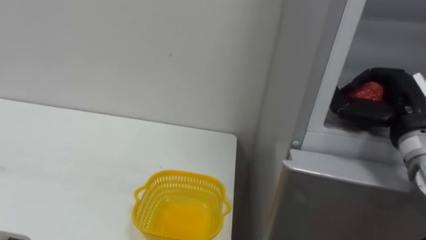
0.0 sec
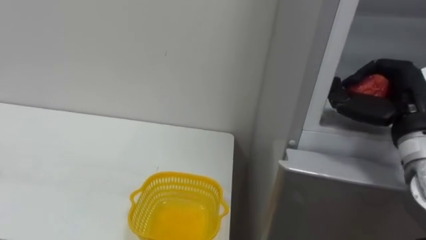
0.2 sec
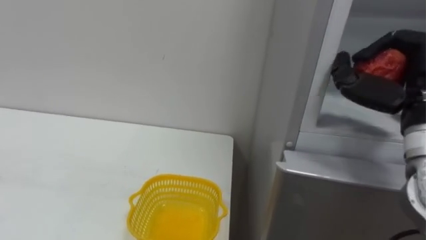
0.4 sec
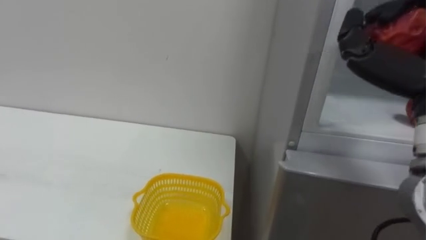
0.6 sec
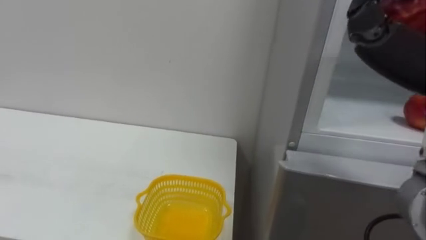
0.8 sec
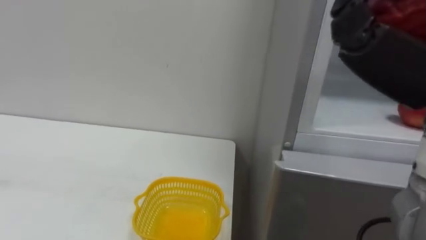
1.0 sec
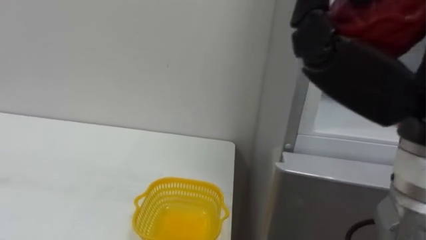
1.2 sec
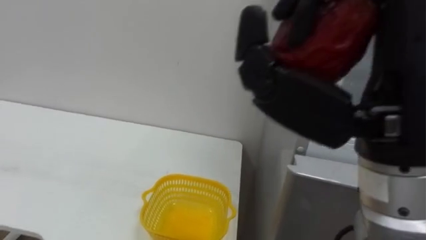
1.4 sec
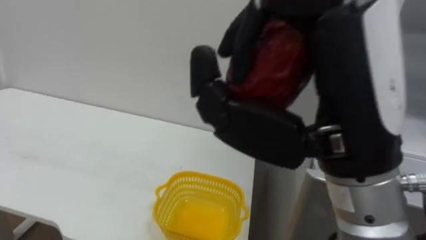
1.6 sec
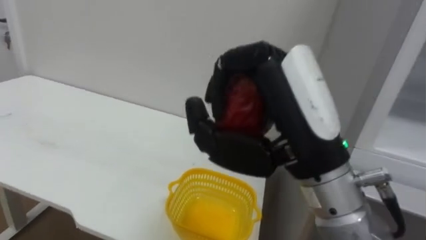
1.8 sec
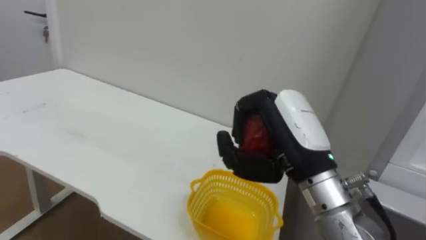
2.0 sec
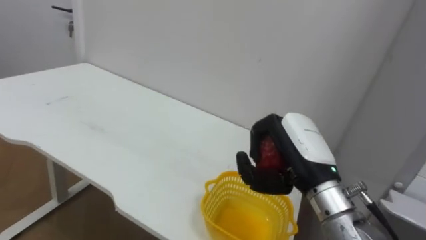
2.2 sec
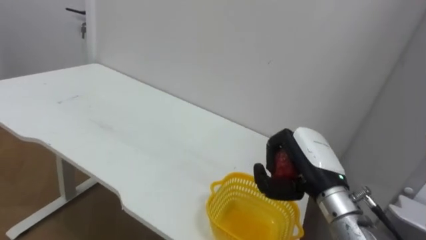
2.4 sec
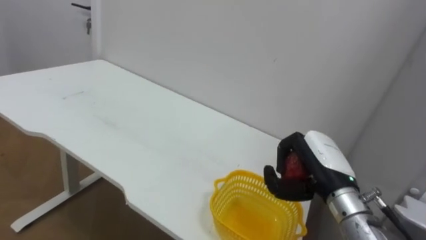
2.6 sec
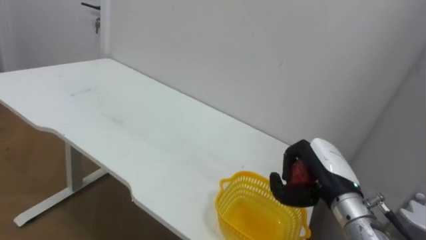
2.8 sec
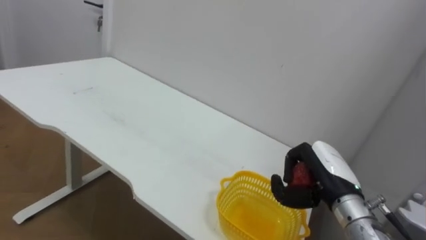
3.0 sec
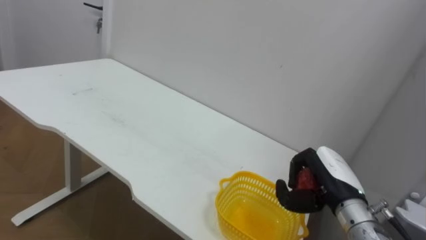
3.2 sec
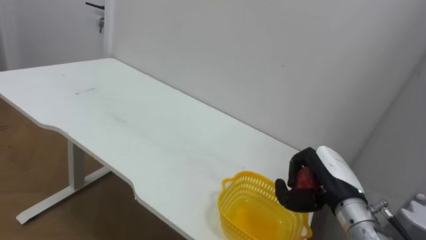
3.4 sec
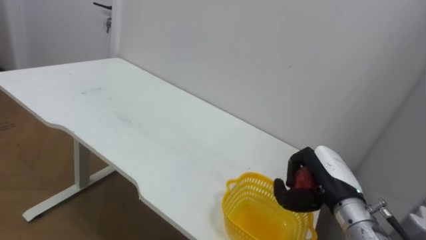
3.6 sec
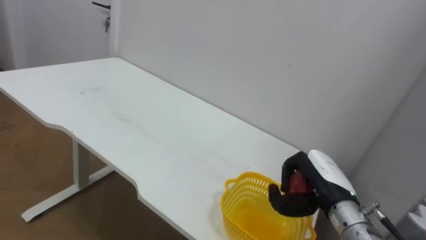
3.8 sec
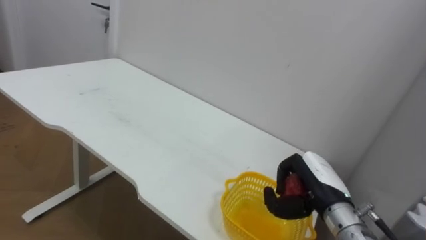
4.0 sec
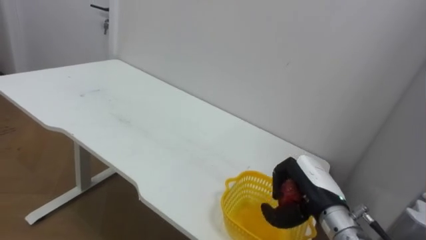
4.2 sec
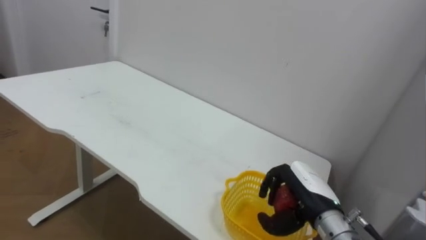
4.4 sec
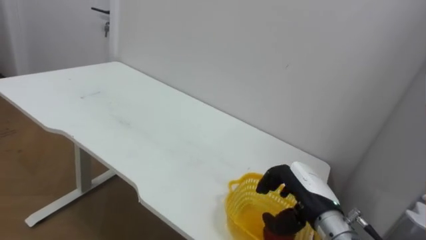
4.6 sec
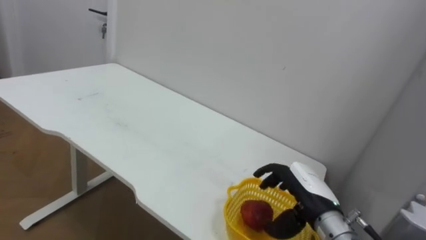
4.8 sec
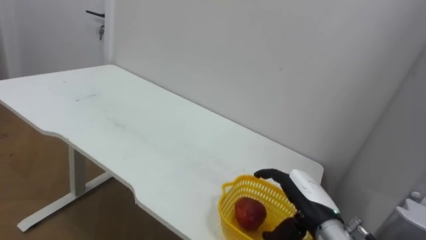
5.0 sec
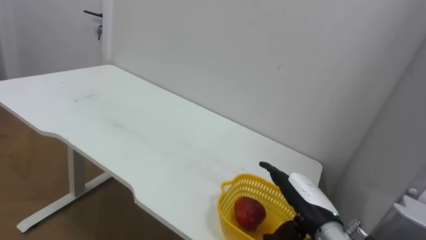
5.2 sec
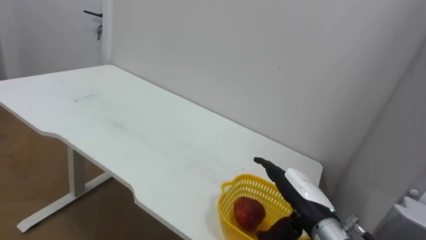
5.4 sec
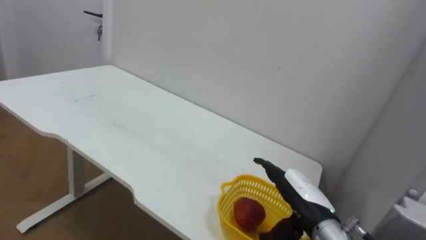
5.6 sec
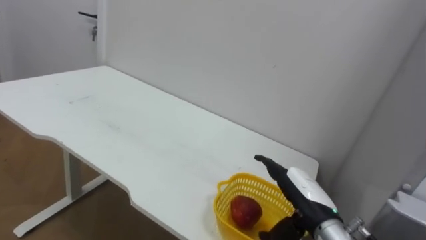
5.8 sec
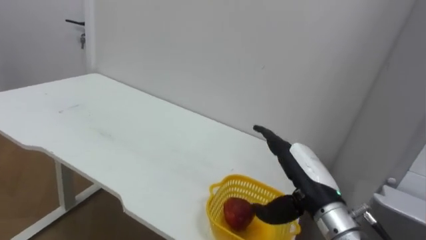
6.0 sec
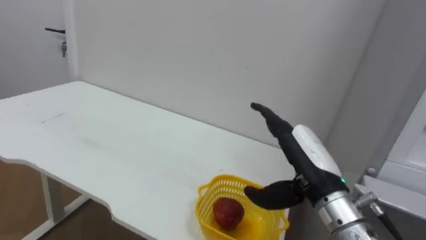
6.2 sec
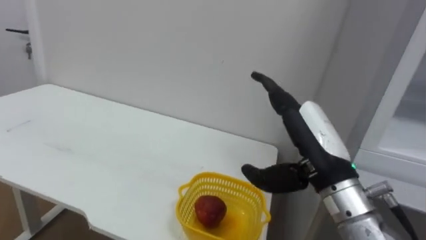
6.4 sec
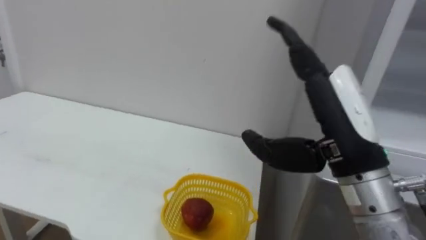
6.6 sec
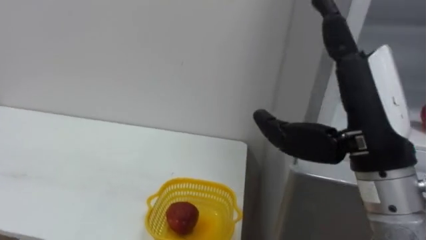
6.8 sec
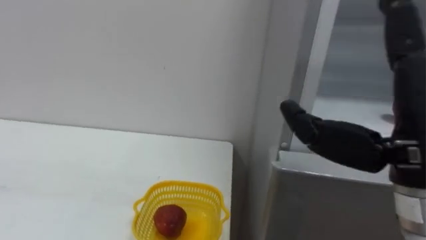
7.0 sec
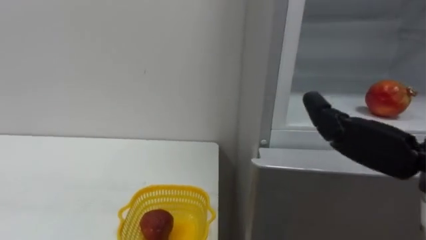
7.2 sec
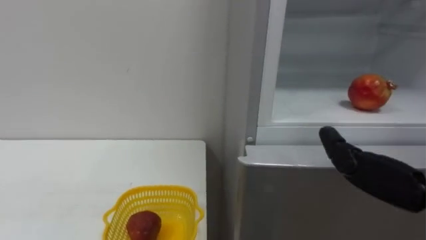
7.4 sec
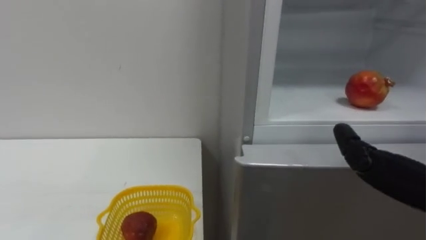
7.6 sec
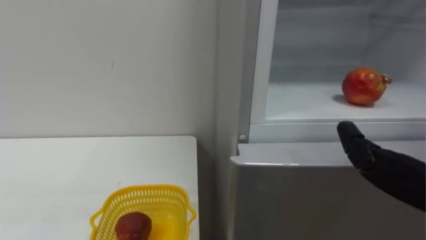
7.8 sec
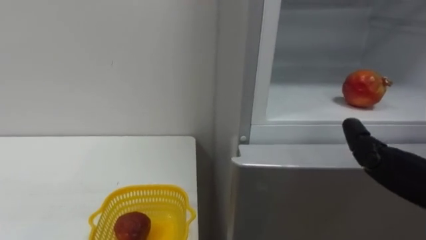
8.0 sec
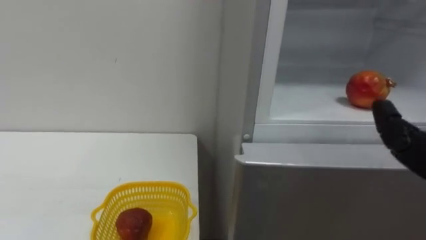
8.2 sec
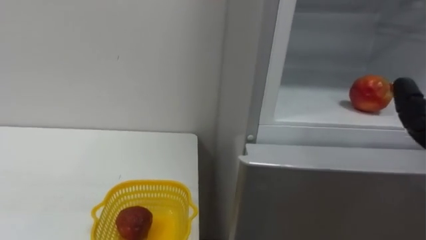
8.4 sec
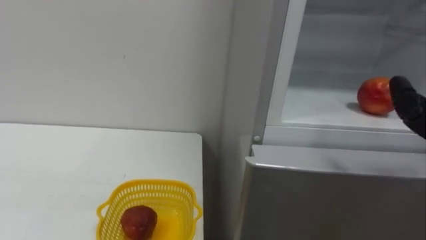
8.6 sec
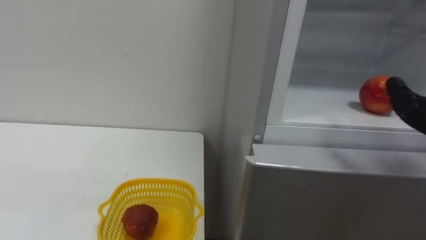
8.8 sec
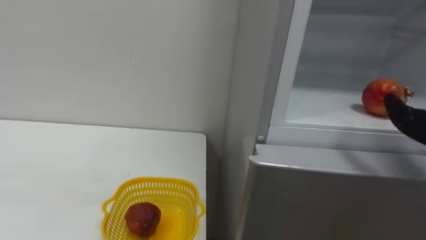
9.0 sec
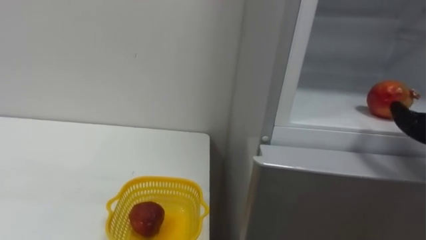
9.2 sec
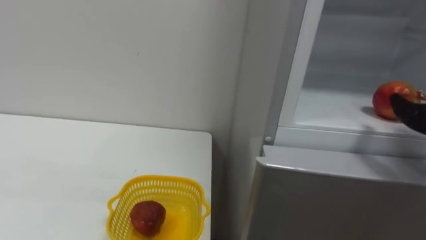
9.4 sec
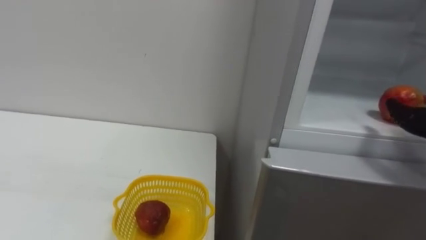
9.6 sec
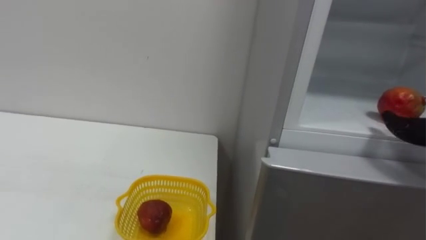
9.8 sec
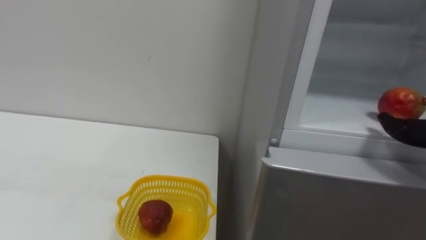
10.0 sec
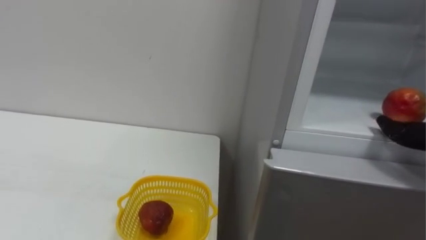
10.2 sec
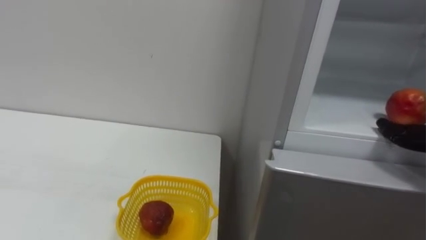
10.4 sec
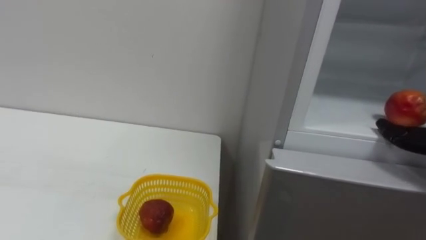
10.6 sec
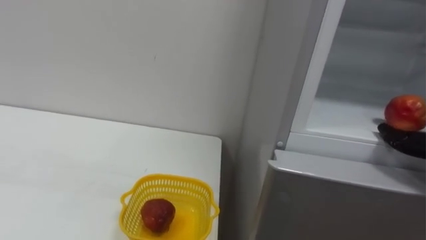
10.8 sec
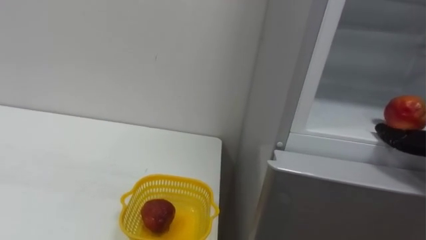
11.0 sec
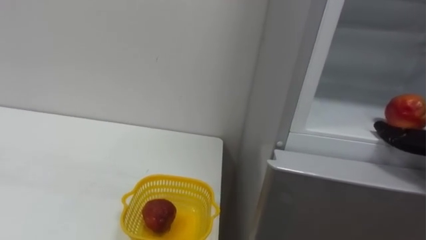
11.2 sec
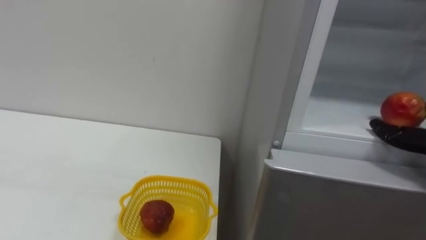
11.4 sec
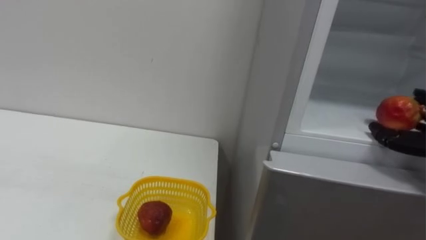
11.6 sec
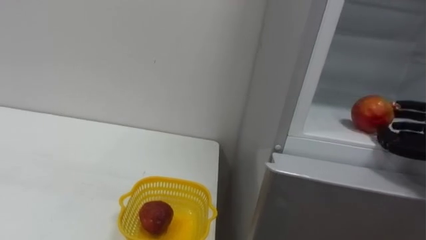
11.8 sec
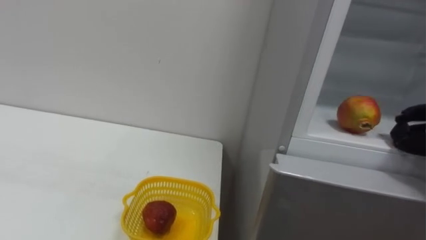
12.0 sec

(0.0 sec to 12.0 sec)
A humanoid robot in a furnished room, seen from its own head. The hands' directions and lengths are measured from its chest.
Task of the whole recording: Open the refrigerator door, take out the apple and the pomegranate, place them in the fruit basket on the left, and close the refrigerator door.
1.6 sec - 3.0 sec: The right hand goes roughly 30 cm downward and forward.
4.4 sec - 6.0 sec: The right hand changes place by about 5 cm, and opens up.

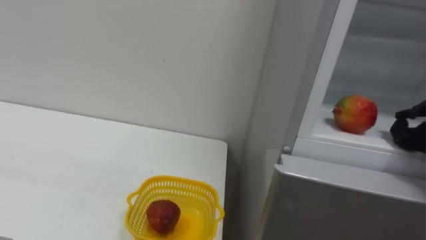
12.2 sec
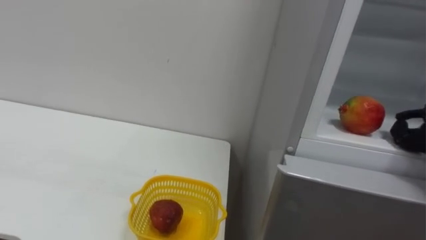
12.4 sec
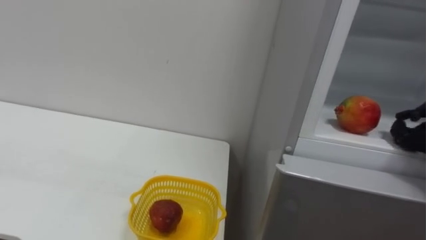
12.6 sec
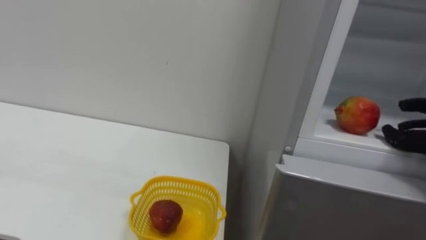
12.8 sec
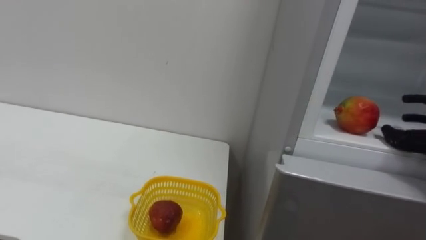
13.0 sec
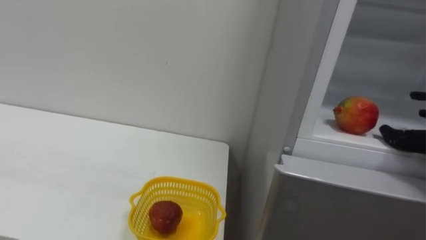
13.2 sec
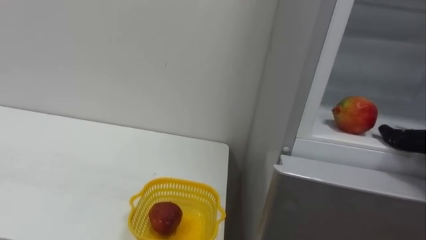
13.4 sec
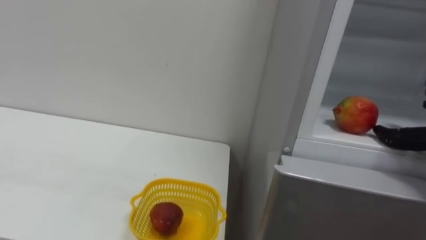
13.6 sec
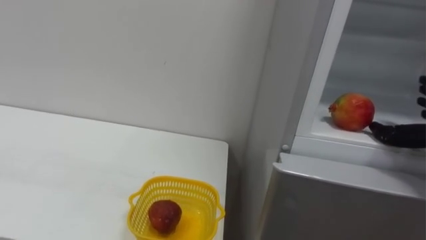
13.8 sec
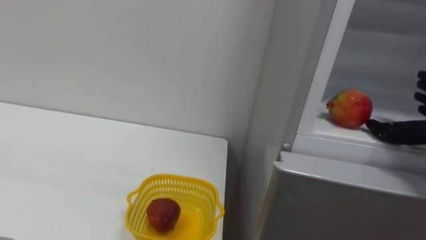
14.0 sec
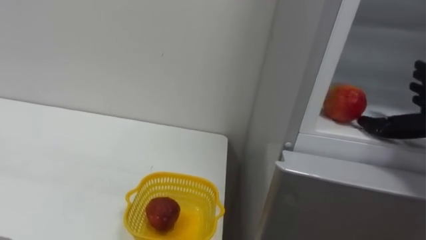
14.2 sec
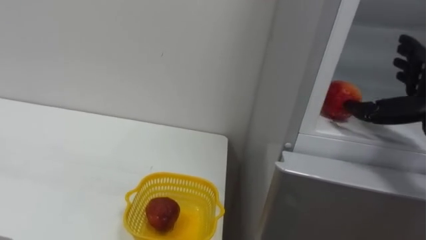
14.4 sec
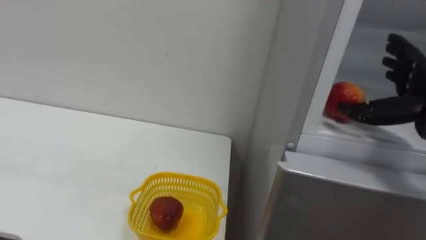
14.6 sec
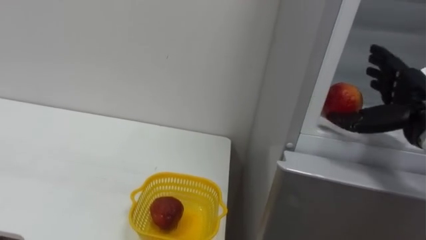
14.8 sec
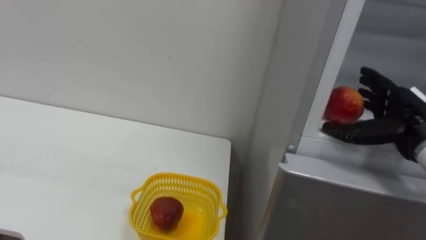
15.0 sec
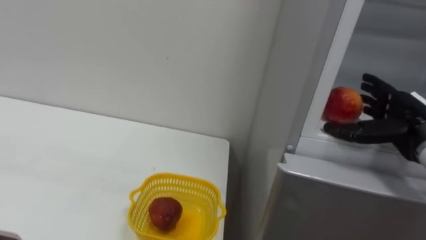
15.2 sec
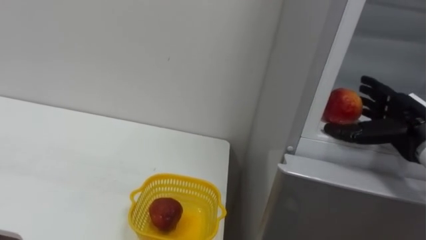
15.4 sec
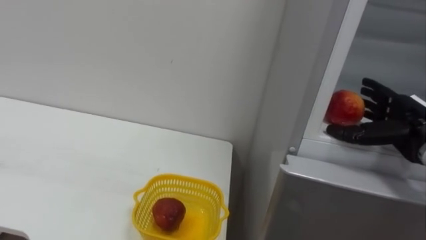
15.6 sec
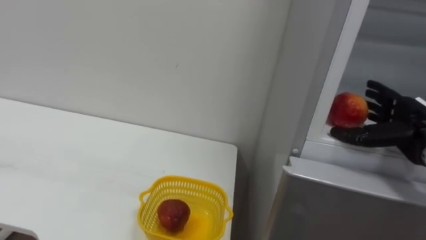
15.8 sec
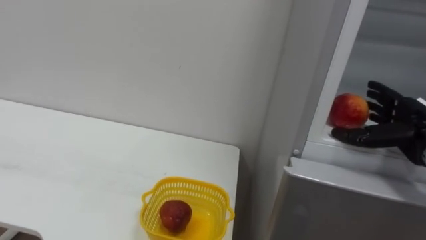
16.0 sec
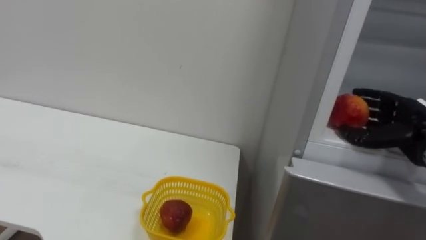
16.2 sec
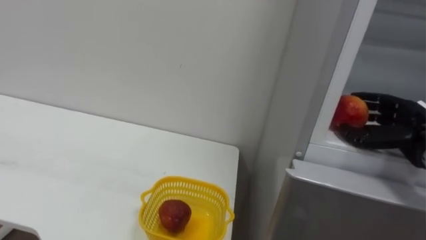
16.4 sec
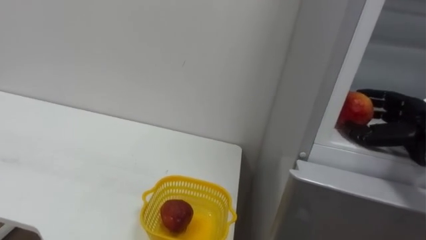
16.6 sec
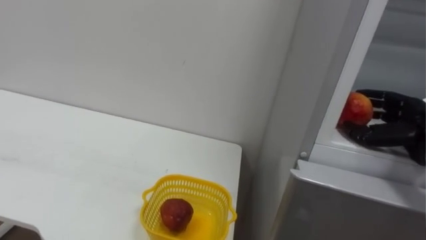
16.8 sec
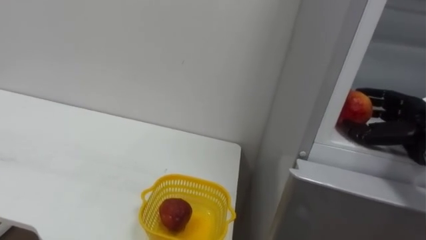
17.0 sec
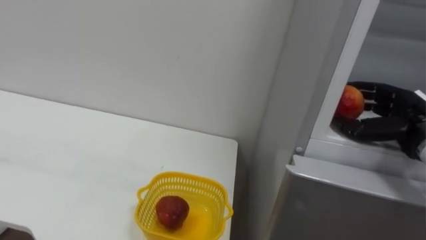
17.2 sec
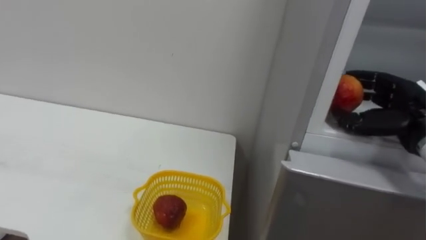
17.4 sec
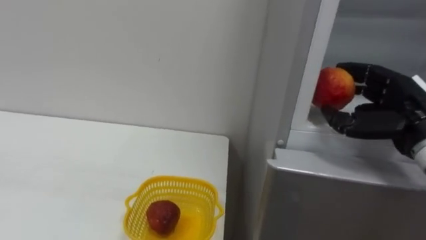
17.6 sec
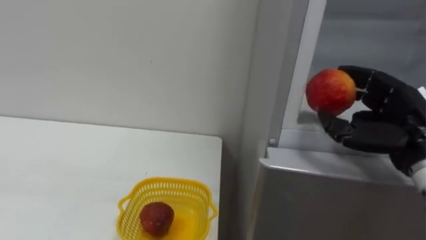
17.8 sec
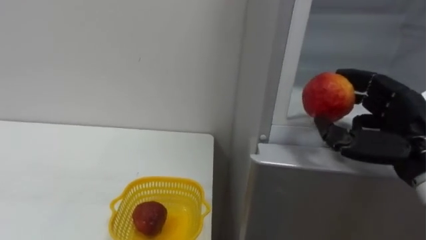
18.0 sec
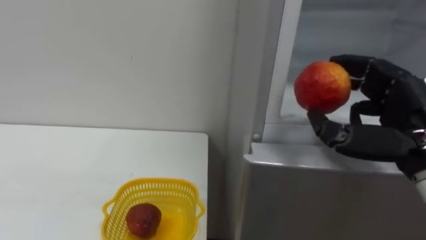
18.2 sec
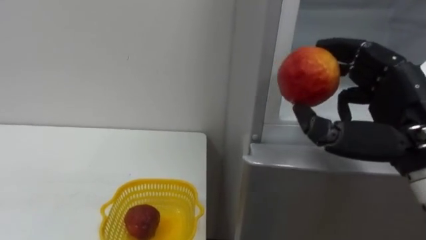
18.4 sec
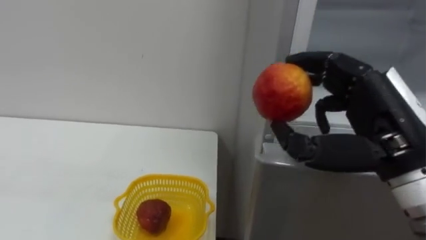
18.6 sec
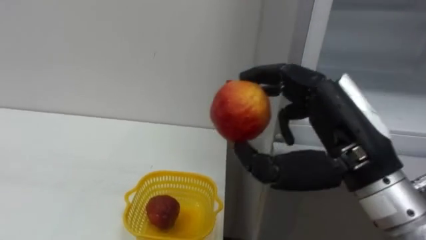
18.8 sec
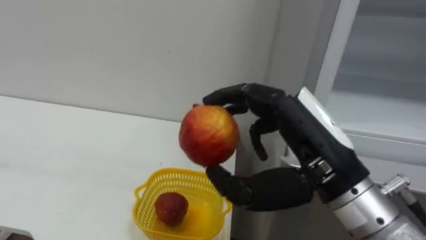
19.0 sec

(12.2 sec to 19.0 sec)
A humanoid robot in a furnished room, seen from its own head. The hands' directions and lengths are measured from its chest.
Task of the whole recording: Open the refrigerator door, take out the apple and the pomegranate, place them in the fruit basket on the left, and close the refrigerator door.
16.2 sec - 17.6 sec: The right hand moves roughly 5 cm.
17.6 sec - 19.0 sec: The right hand goes approximately 20 cm to the left and backward.
